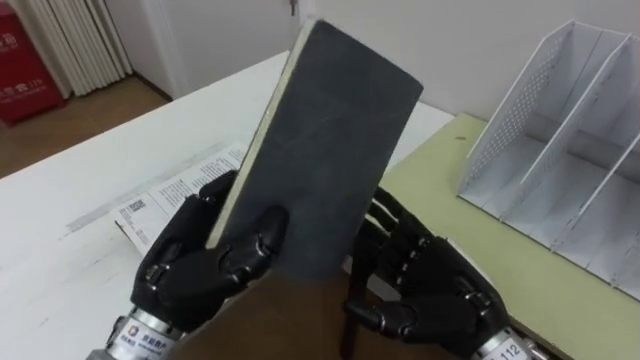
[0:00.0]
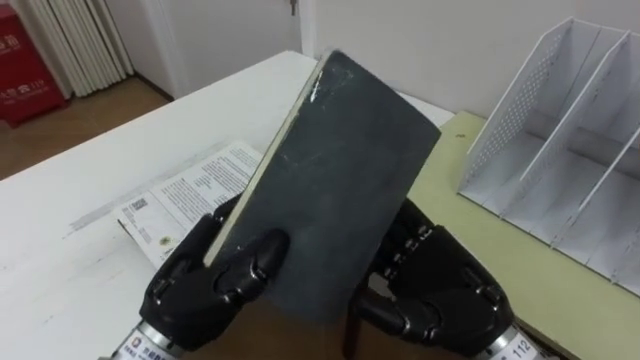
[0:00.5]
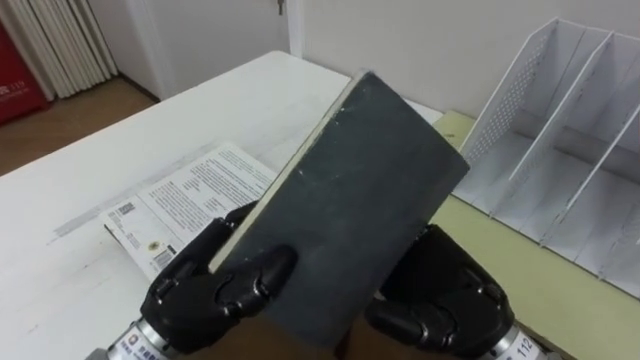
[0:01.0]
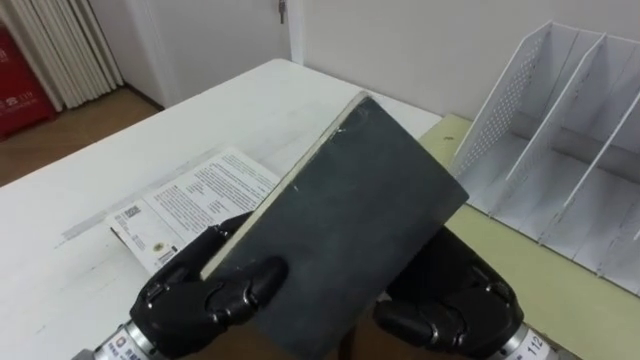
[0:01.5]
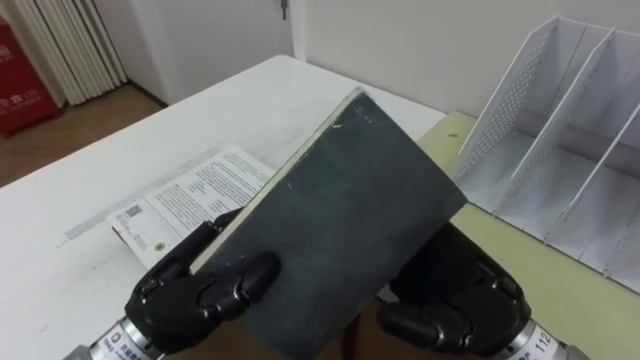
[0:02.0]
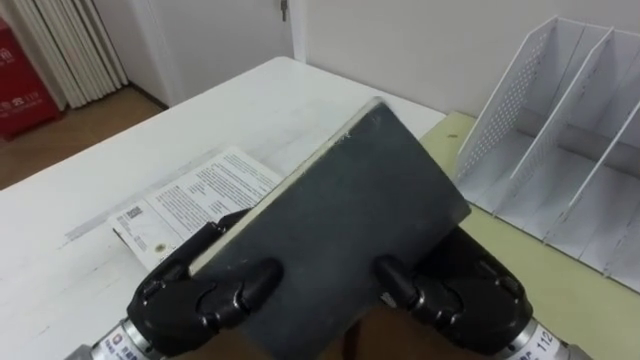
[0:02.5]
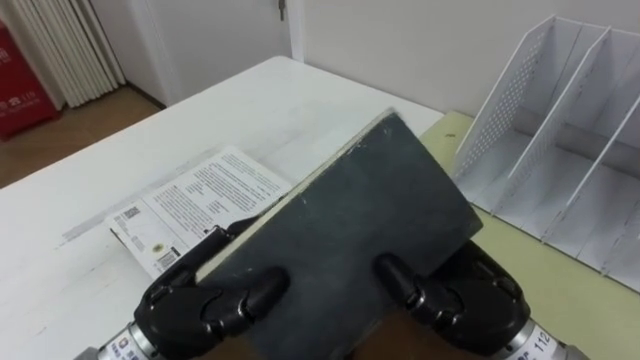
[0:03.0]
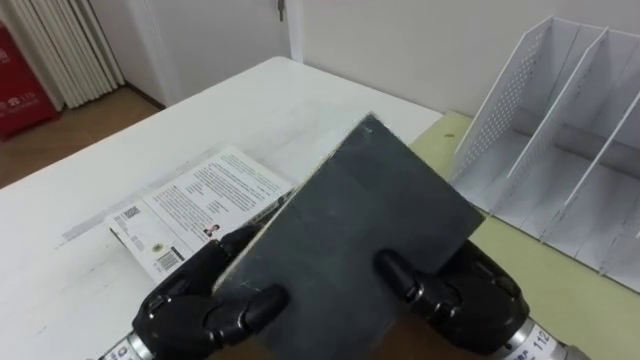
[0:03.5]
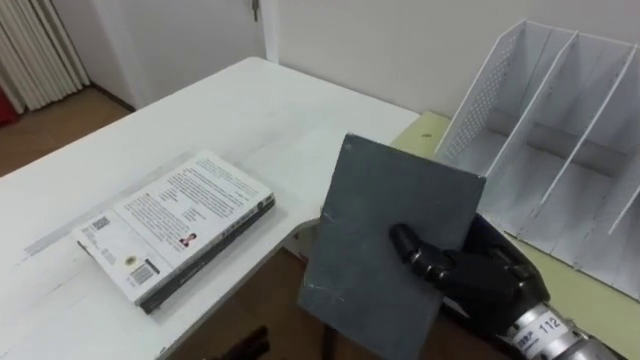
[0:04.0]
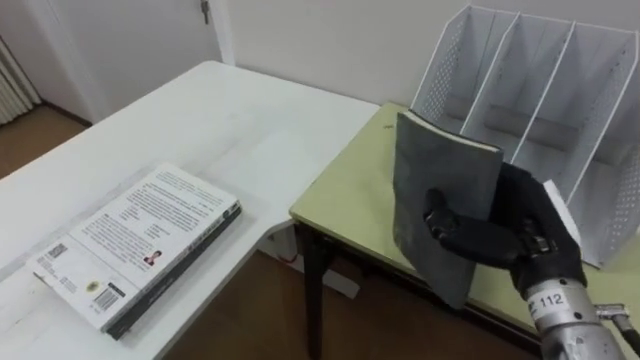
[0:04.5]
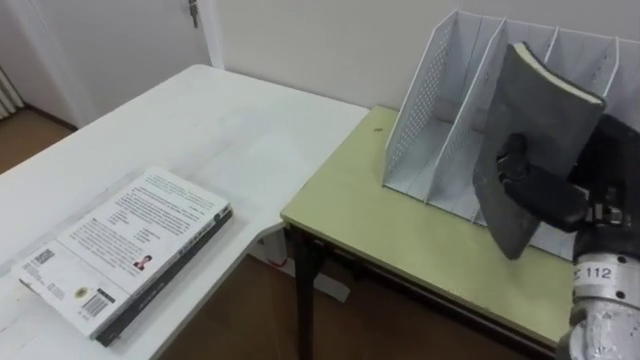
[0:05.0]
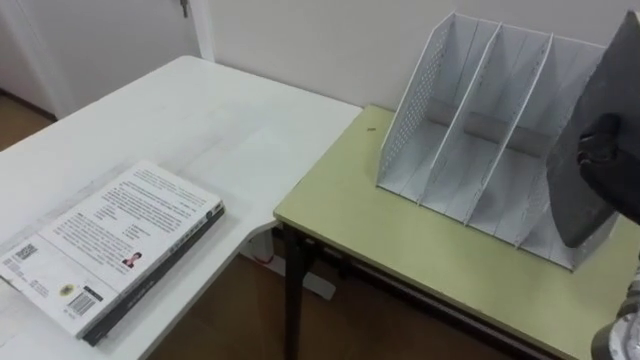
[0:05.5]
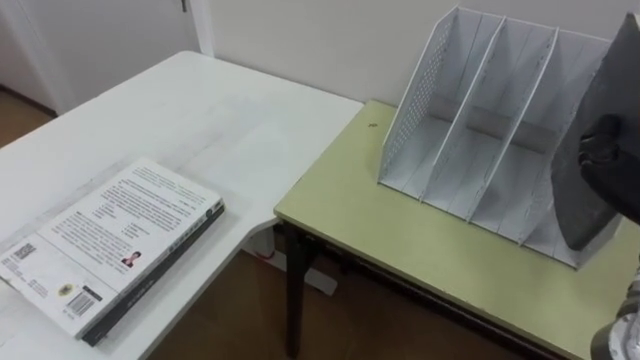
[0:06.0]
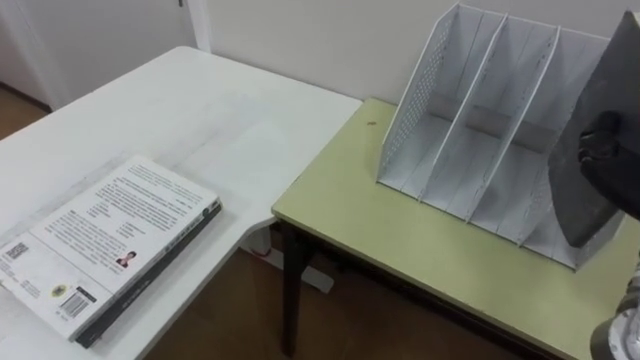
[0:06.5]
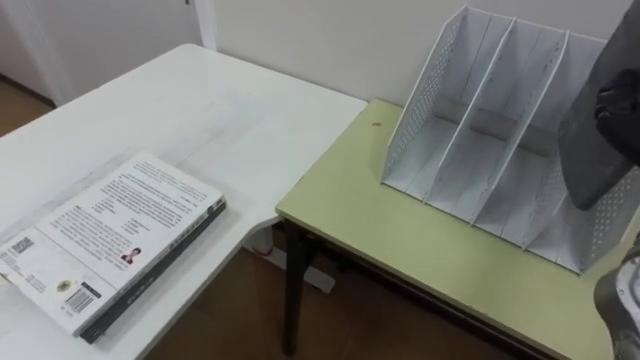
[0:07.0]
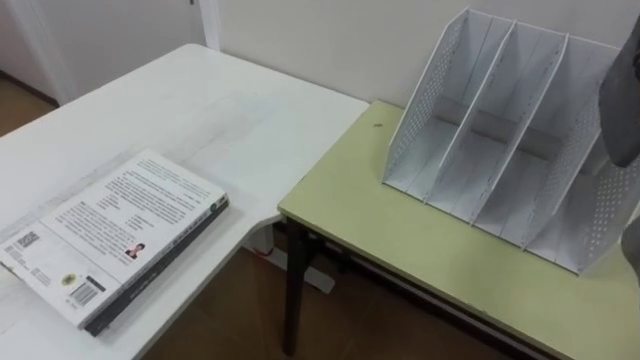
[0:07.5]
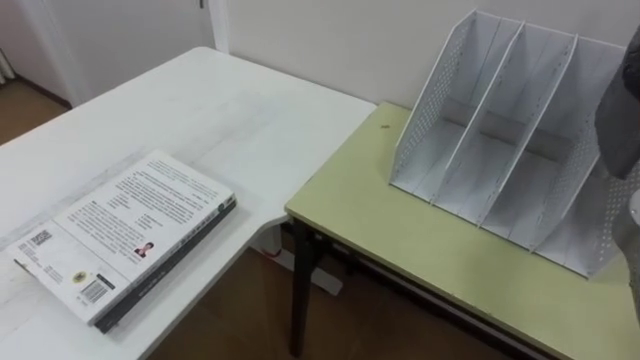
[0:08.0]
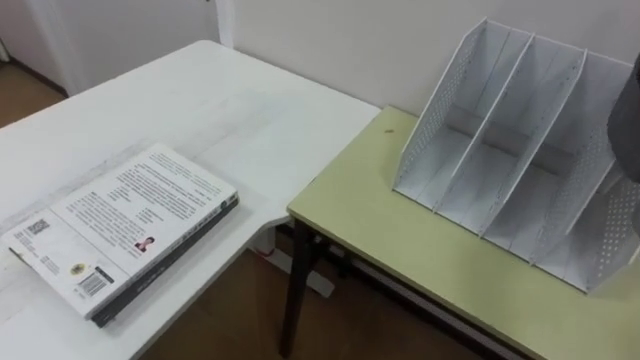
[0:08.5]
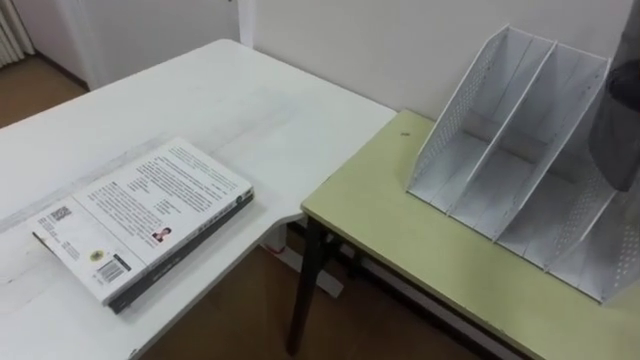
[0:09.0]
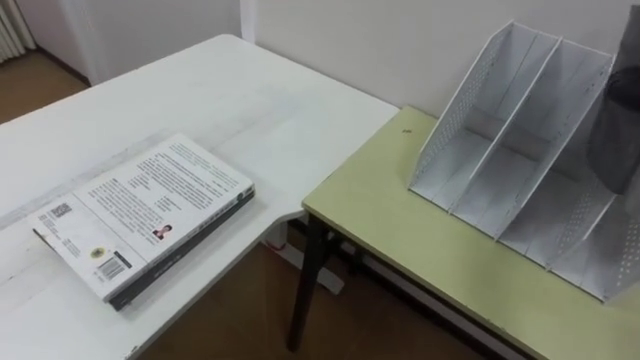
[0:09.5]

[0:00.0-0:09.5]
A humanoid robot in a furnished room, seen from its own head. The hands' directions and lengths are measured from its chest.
Task of the whole recording: Put the books on the table onto the bookshelf.
0:00.0 to 0:02.0: The right hand shifts some 5 cm upward.
0:02.0 to 0:04.0: The right hand changes place by some 5 cm, and closes its fingers.

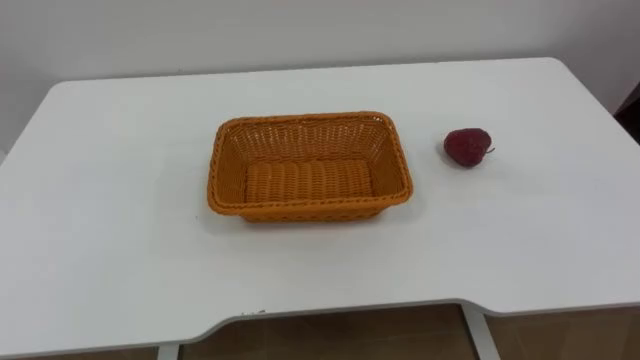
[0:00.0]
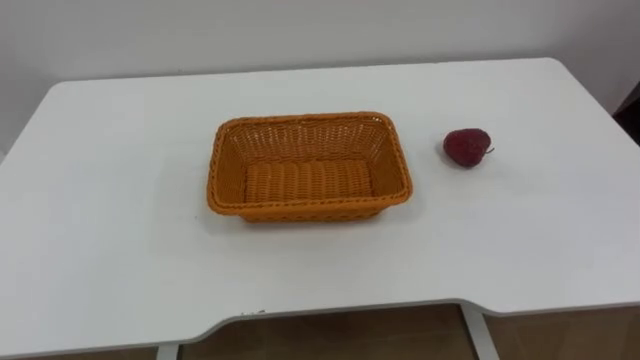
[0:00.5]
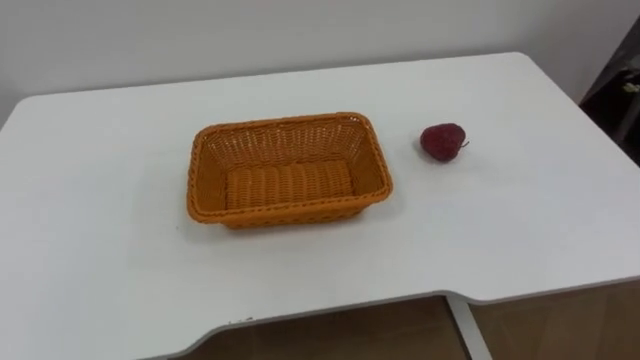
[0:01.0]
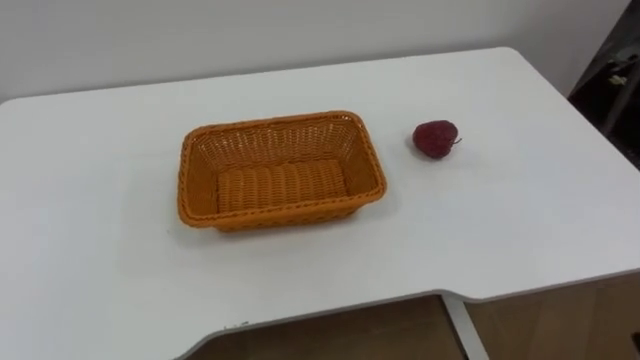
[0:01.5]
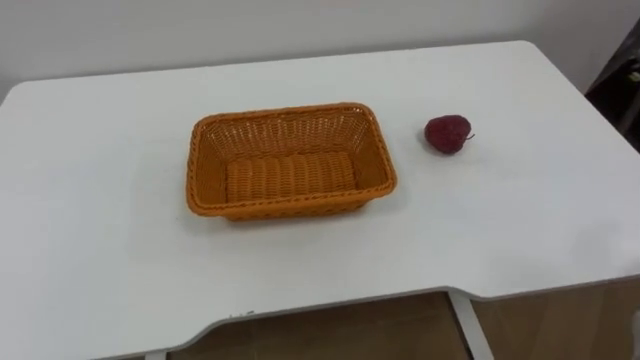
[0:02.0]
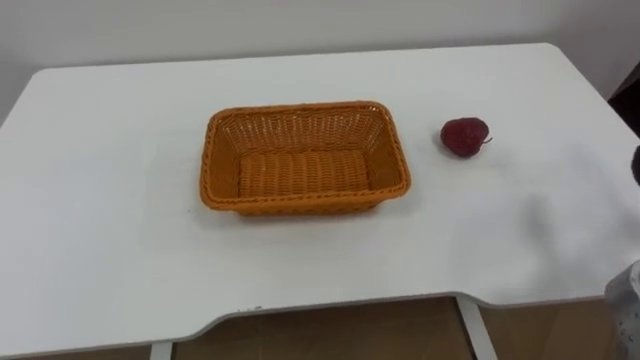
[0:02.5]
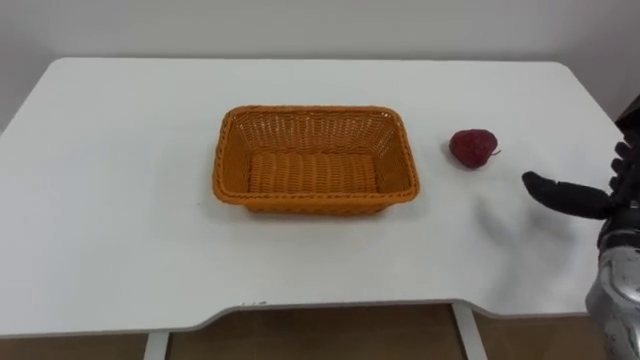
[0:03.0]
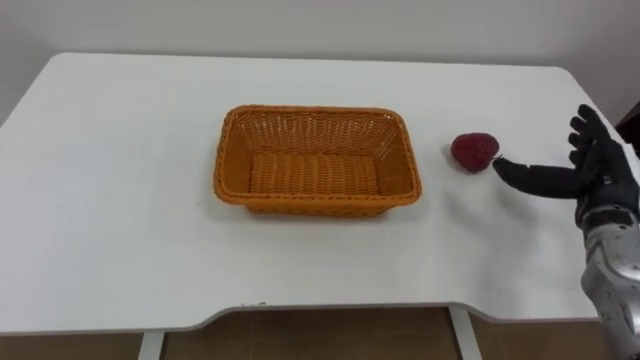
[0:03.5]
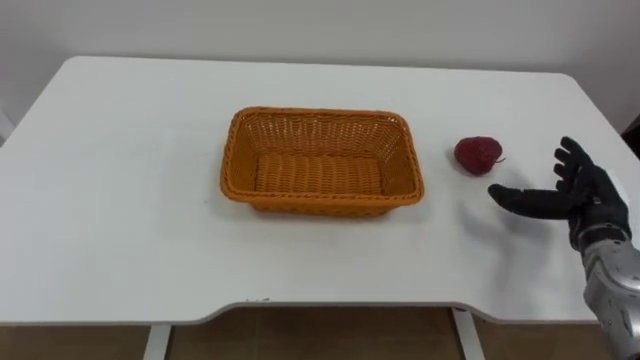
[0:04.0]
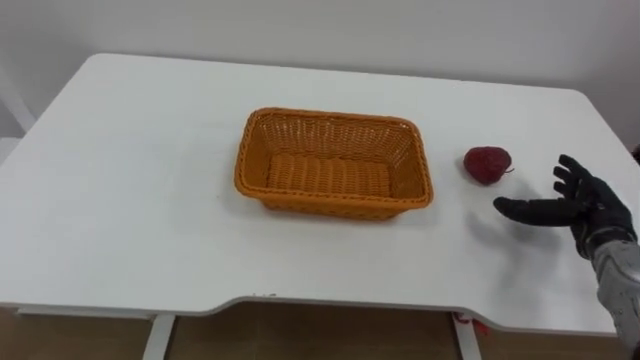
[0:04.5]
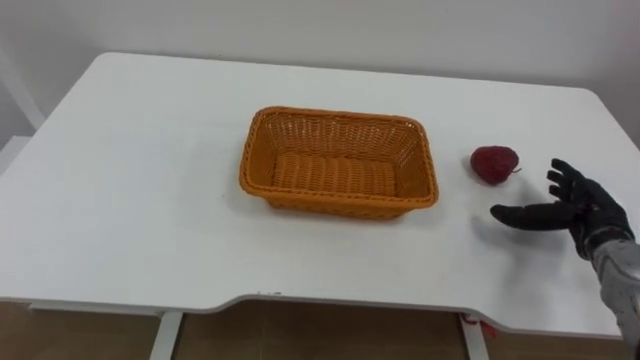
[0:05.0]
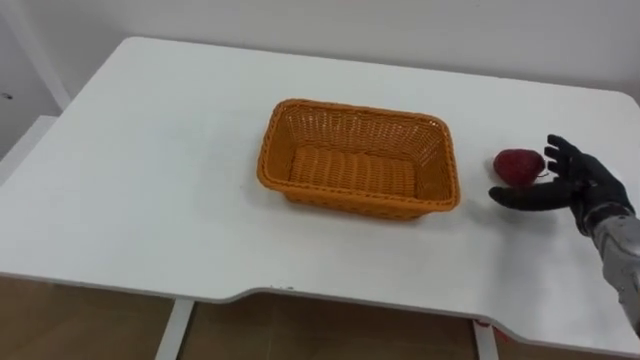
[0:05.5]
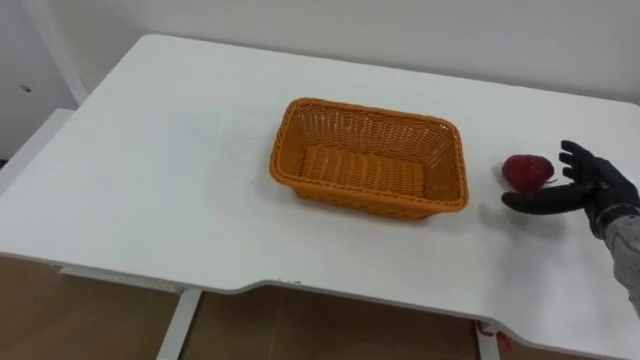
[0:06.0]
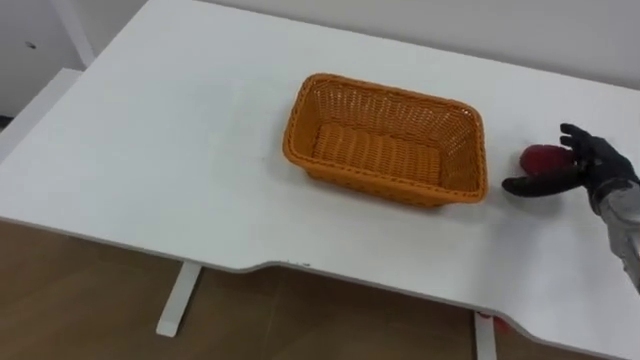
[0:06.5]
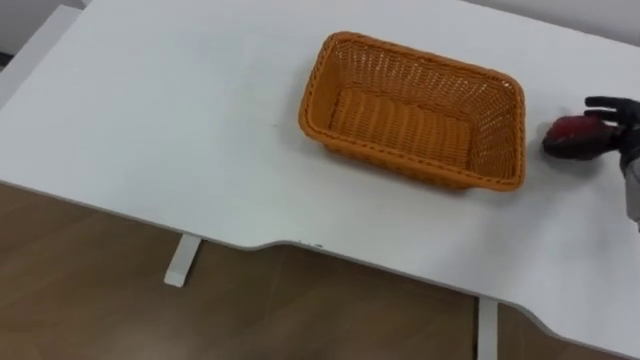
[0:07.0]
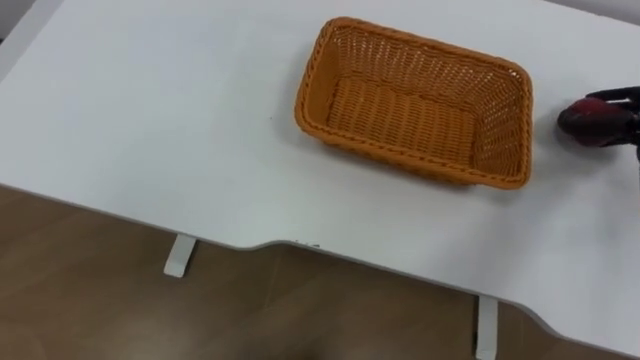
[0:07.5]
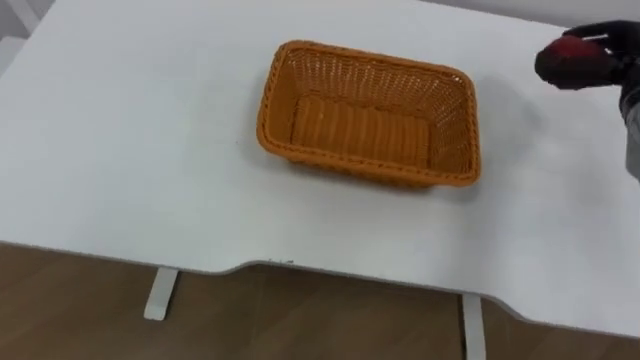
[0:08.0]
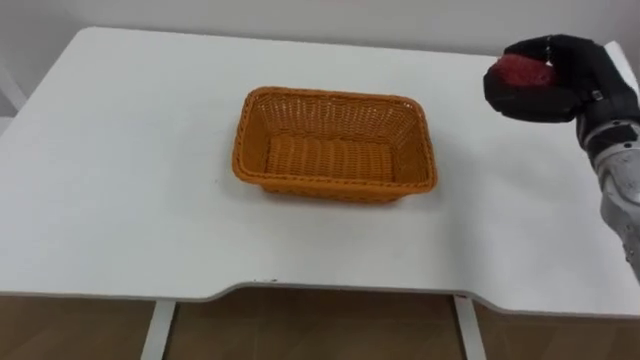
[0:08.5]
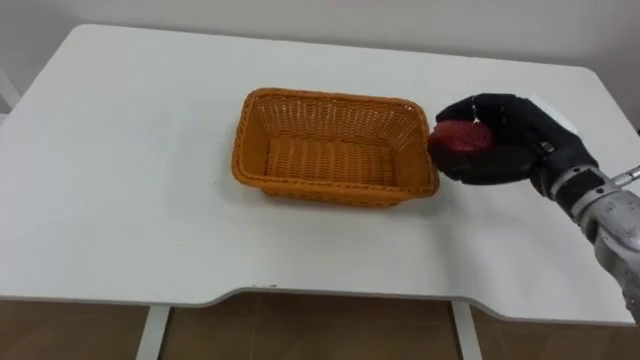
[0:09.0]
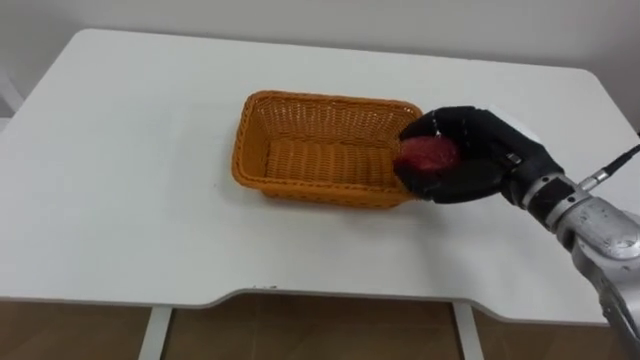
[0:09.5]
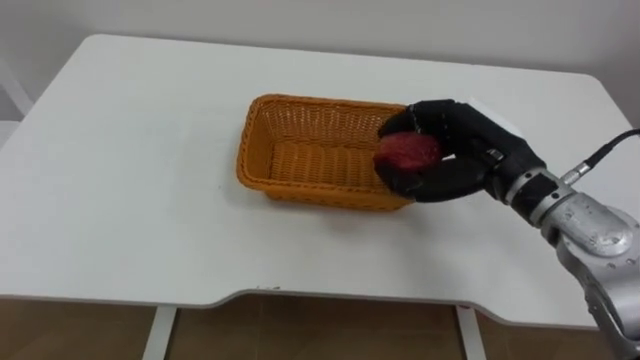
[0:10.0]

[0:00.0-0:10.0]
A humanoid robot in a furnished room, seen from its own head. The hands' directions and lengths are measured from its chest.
Task of the whole recording: Pick the apple and place it in the box.
0:08.0 to 0:10.0: The right hand is displaced to the left and backward by some 20 cm.

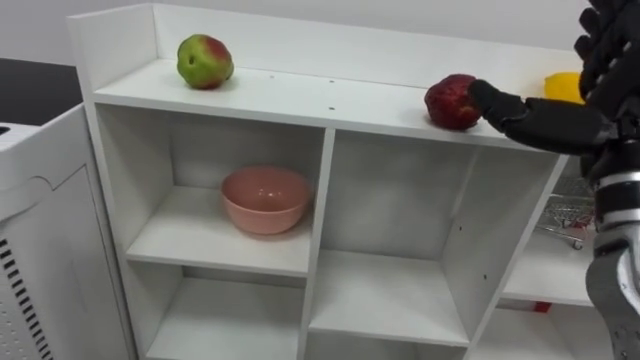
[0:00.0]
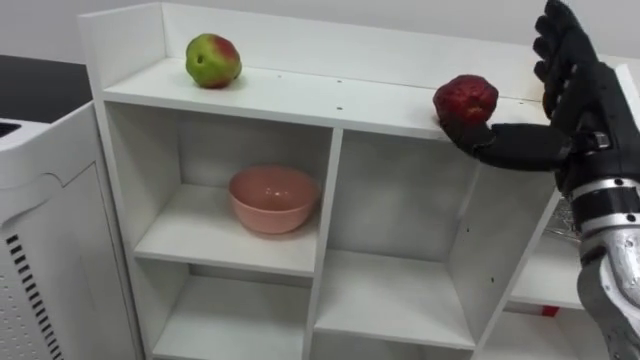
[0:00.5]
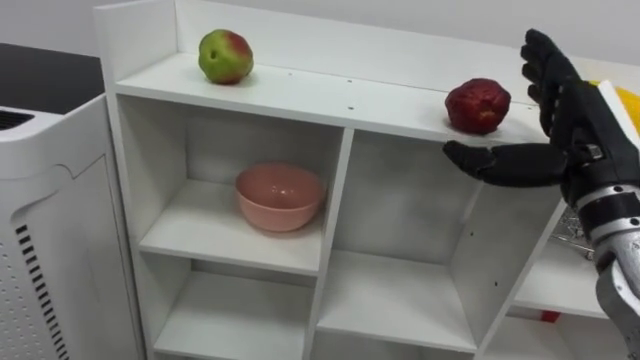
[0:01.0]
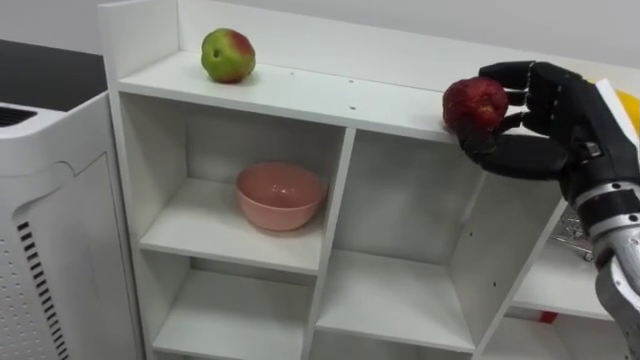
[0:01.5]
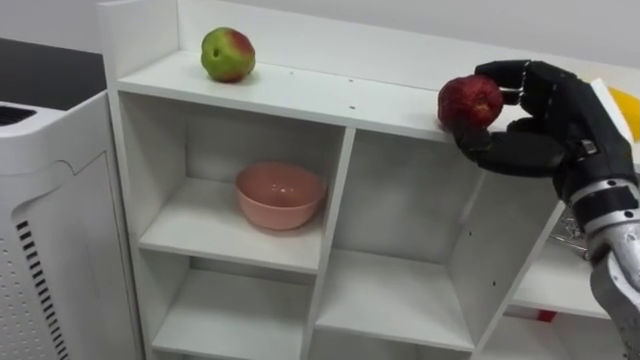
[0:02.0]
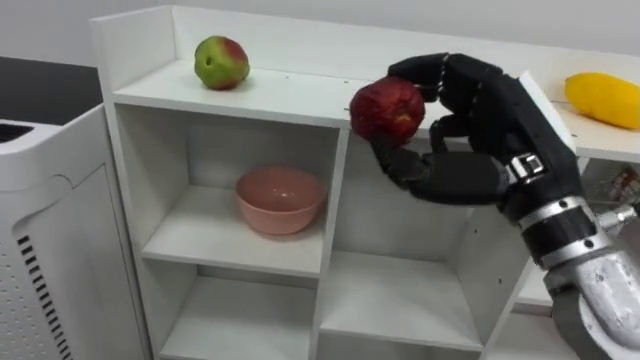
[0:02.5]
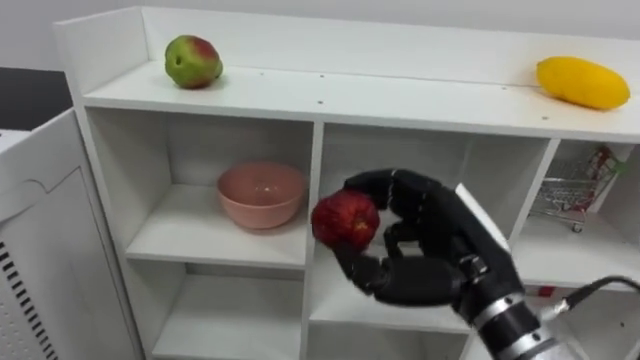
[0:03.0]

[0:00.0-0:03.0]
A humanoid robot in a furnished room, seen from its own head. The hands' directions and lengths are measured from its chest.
Task of the whole recording: Put the apple in the cell in the second column from the left and the second row from the top.
0:00.0 to 0:01.5: The right hand closes up.
0:01.5 to 0:03.0: The right hand moves to the left, downward and backward, about 15 cm.
